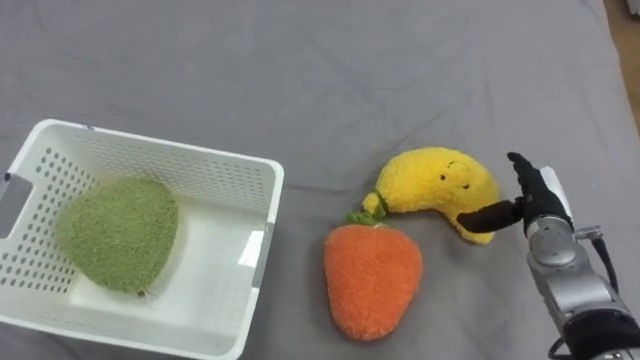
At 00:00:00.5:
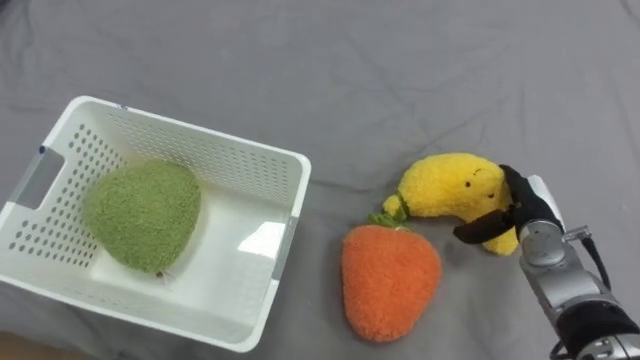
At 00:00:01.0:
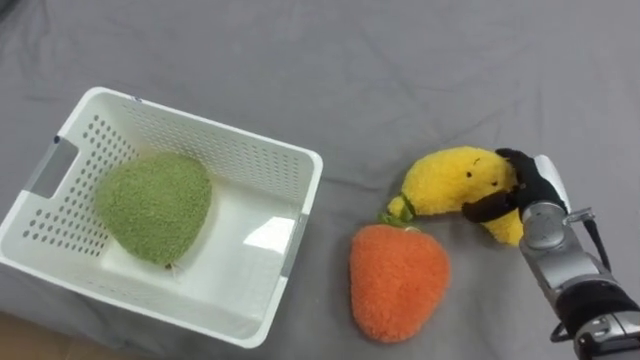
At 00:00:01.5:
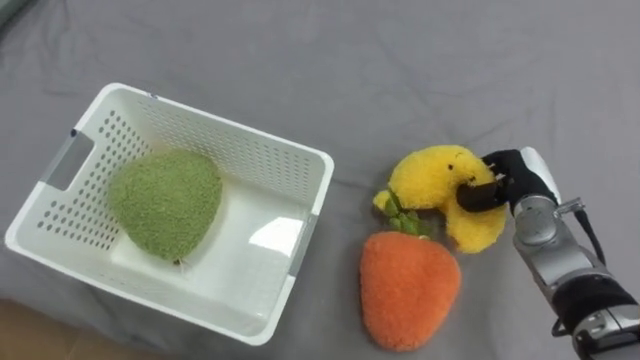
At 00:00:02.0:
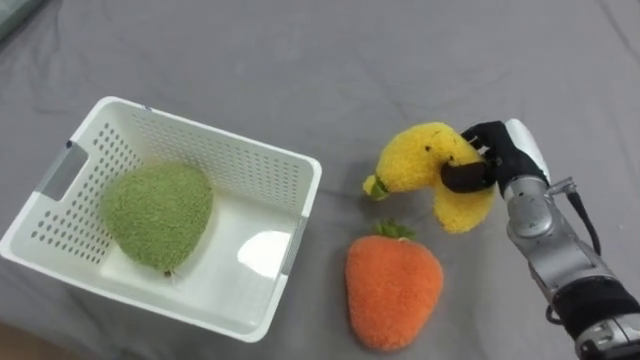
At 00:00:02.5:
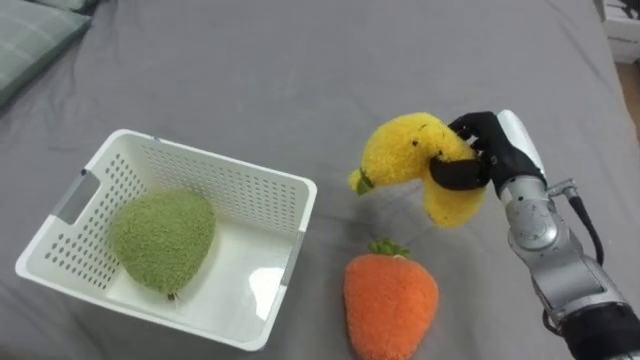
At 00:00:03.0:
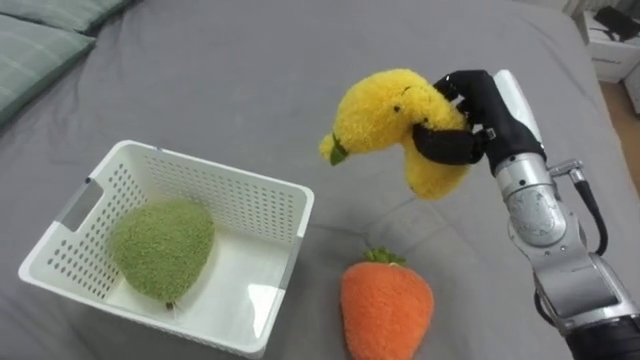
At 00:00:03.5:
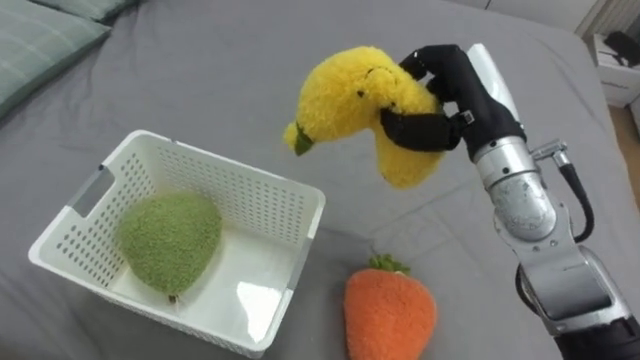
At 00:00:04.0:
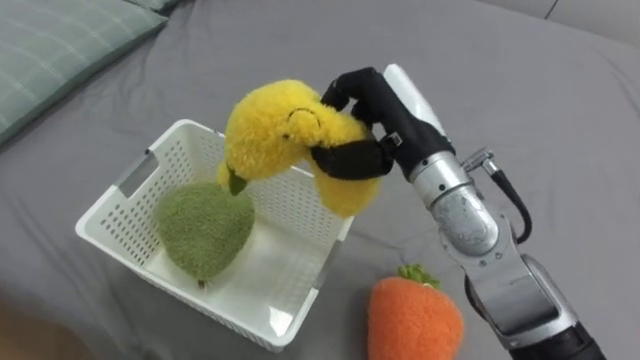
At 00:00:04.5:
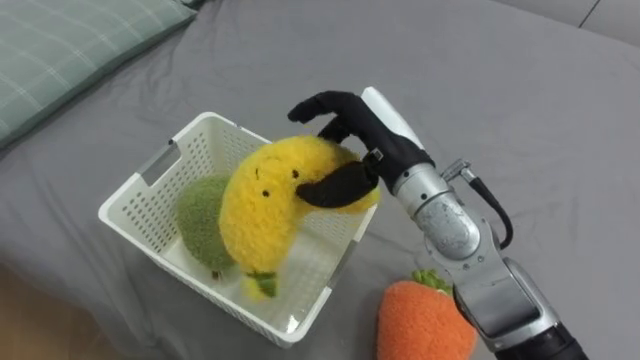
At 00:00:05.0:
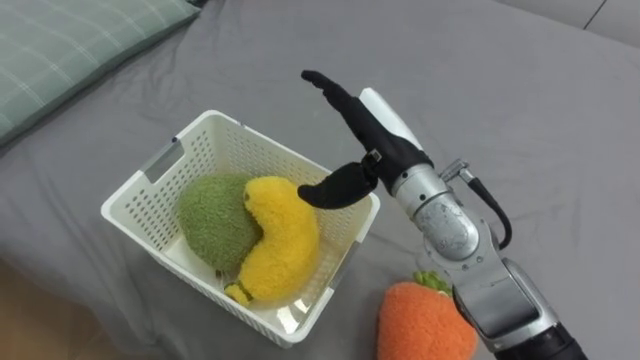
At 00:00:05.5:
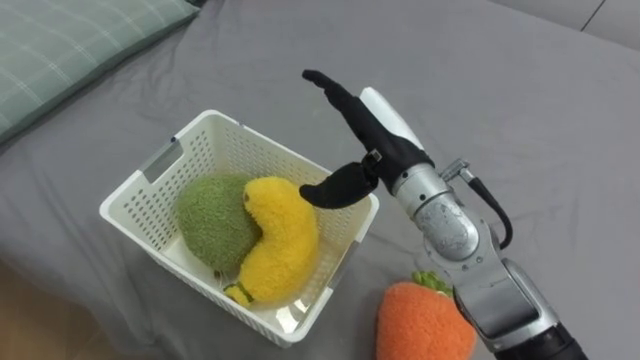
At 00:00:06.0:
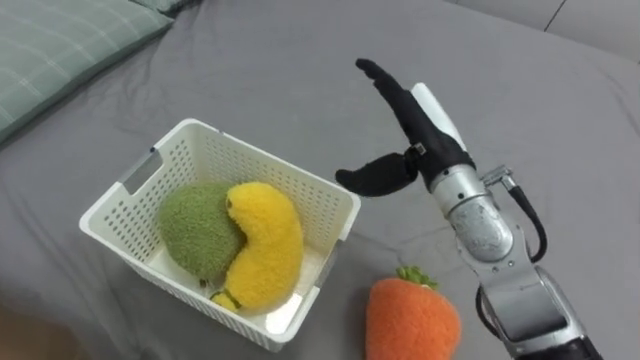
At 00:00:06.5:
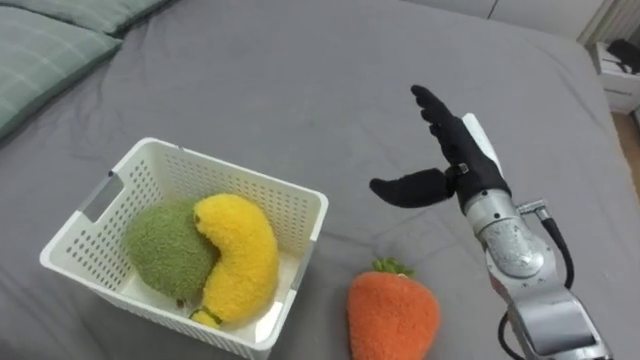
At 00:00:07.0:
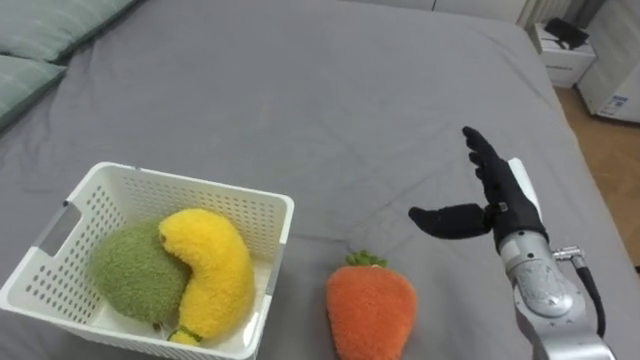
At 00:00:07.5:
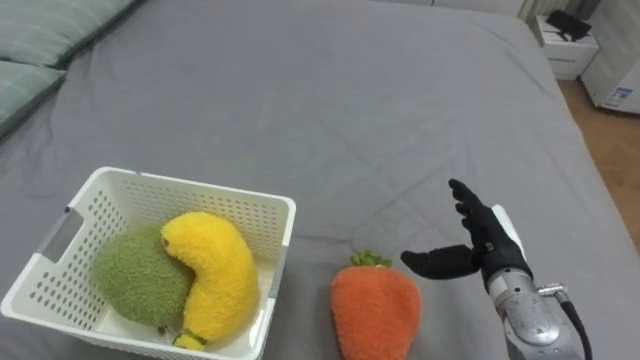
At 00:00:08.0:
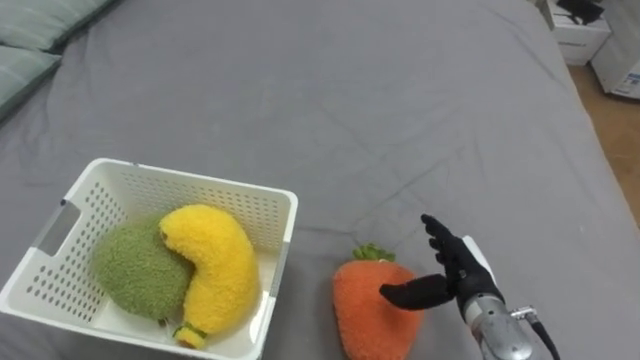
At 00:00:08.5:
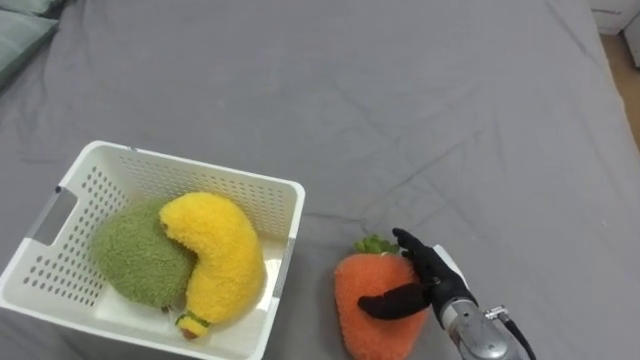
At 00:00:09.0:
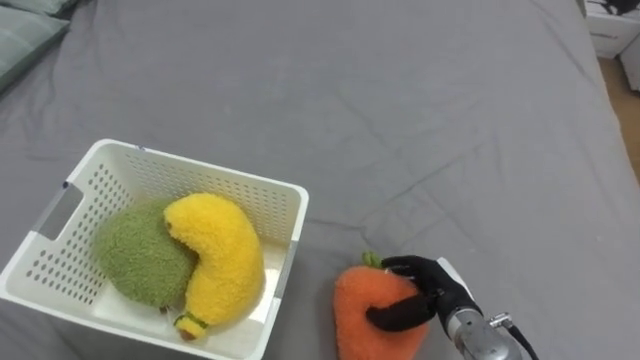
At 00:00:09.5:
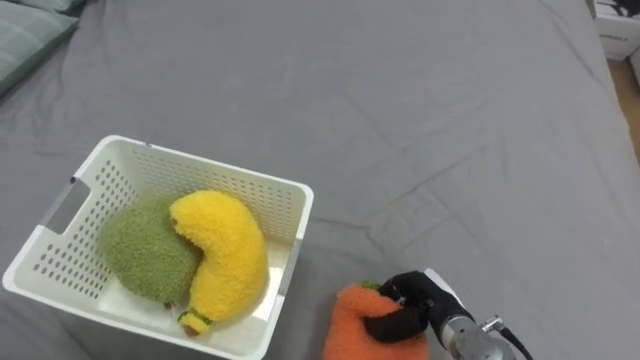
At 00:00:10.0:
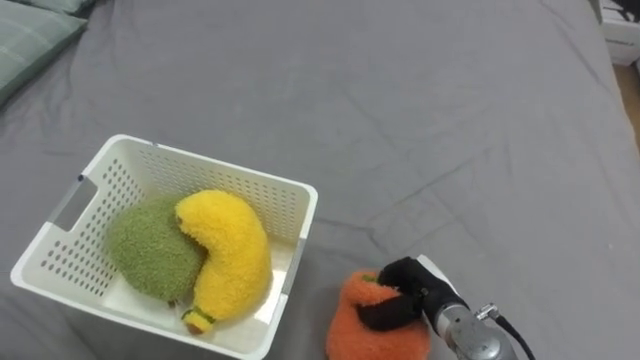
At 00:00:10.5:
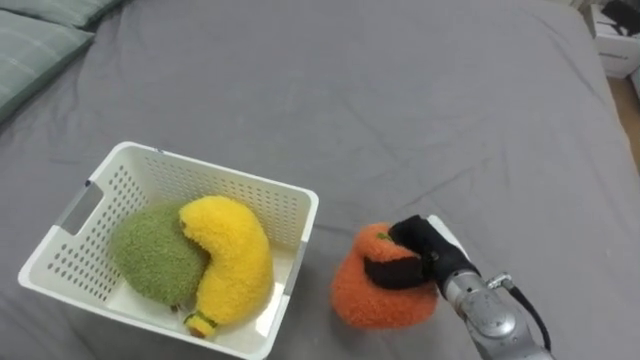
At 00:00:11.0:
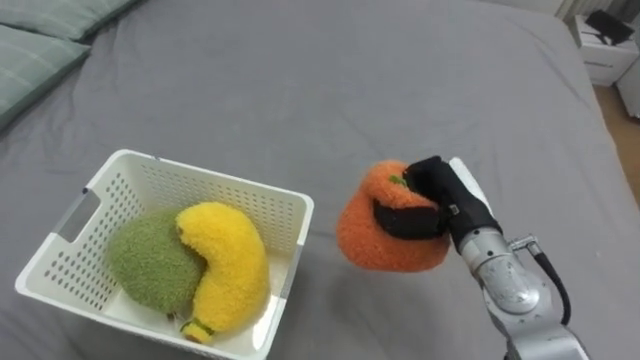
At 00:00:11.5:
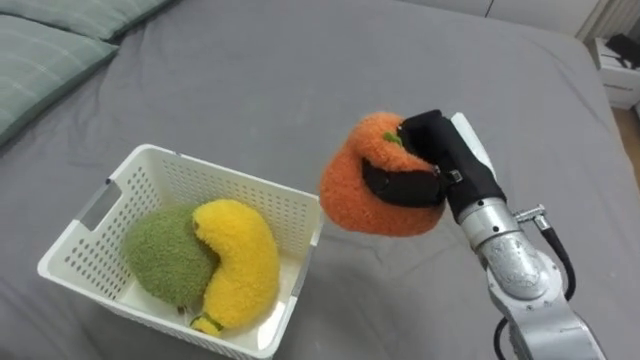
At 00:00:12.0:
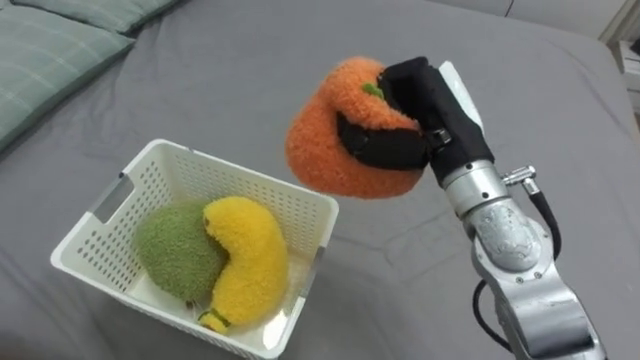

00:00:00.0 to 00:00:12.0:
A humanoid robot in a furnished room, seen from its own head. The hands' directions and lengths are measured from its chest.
Task of the whole recording: Put the toys on the bed into the basket on the left.
00:00:00.0 to 00:00:02.0: The right hand moves roughly 5 cm, and closes up.
00:00:02.0 to 00:00:04.0: The right hand shifts some 20 cm to the left and upward.
00:00:04.0 to 00:00:06.0: The right hand opens.
00:00:06.0 to 00:00:08.0: The right hand goes about 20 cm downward, to the right and backward.
00:00:08.0 to 00:00:10.0: The right hand ends up approximately 5 cm from where it was, and closes its fingers.
00:00:10.0 to 00:00:12.0: The right hand shifts about 25 cm upward.

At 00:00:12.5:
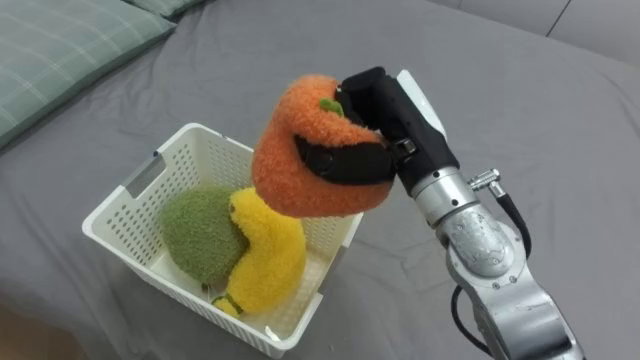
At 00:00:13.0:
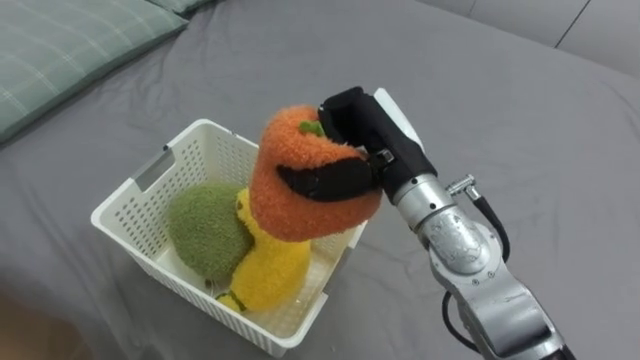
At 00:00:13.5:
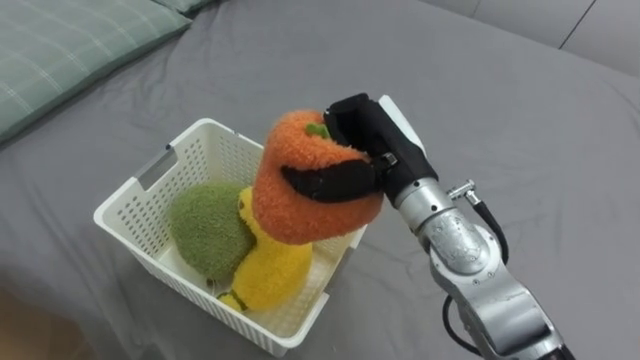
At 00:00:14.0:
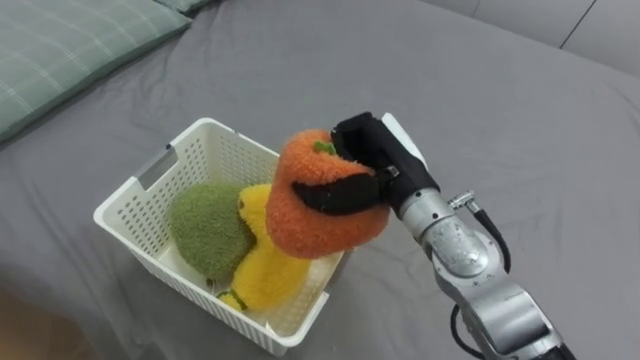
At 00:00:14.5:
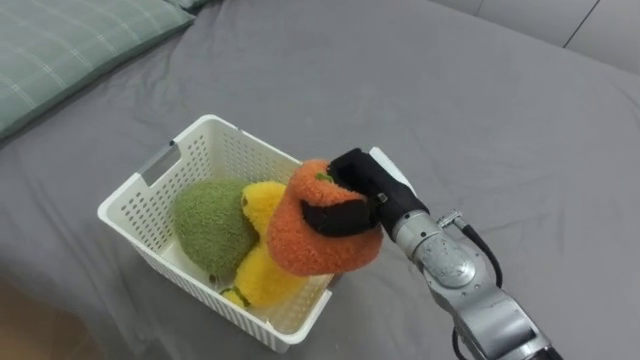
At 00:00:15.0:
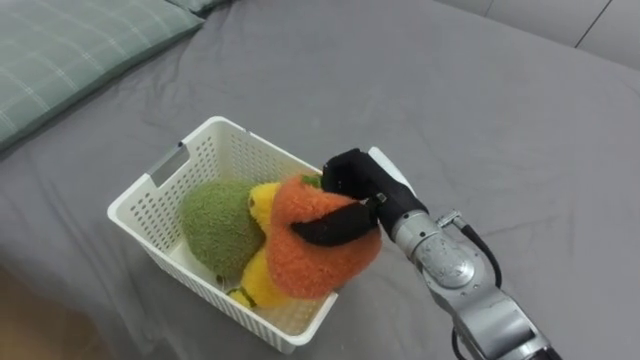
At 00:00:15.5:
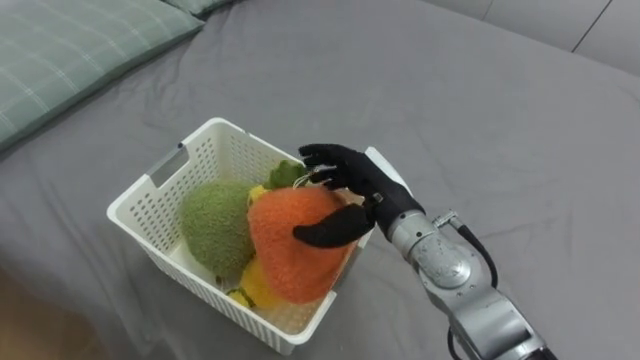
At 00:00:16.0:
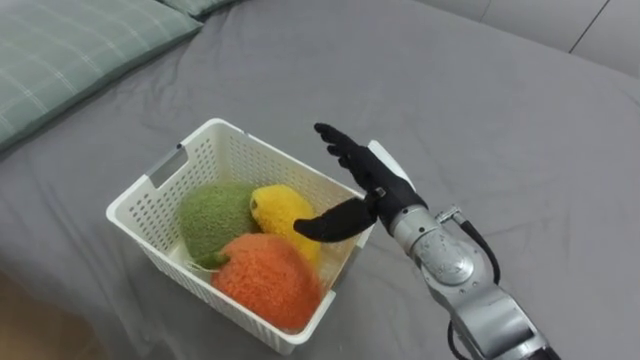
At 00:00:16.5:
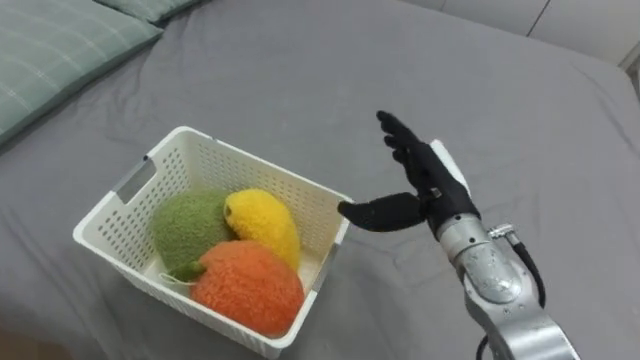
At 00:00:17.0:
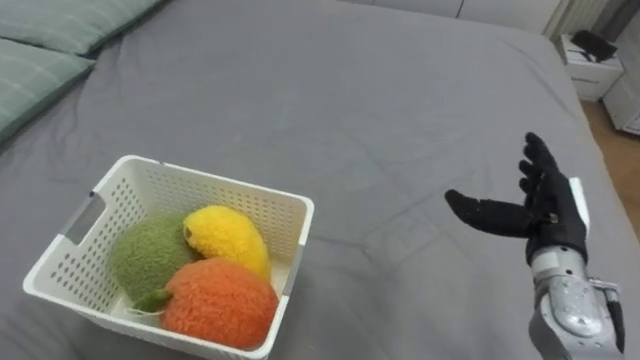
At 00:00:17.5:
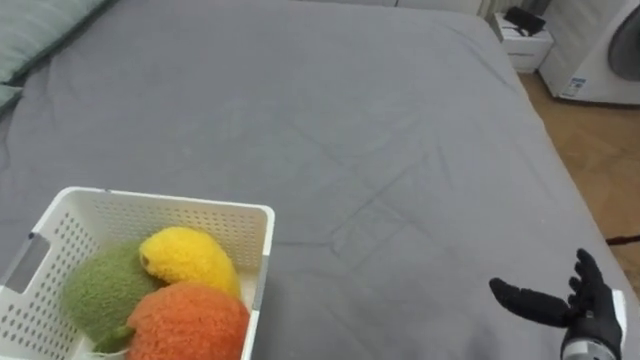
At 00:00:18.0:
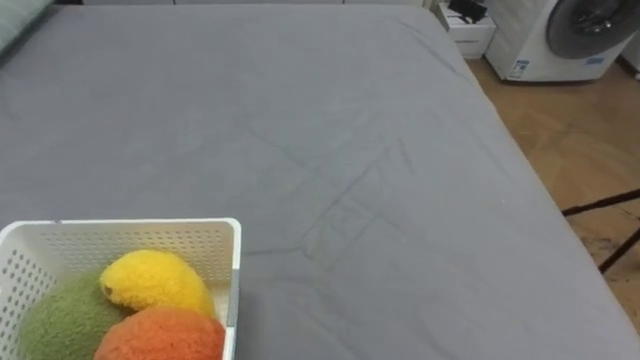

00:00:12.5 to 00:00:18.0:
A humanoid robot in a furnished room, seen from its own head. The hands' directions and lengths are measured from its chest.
Task of the whole recording: Put the toys on the bed into the basket on the left.
00:00:12.5 to 00:00:14.5: The right hand goes roughly 10 cm downward.
00:00:14.5 to 00:00:16.0: The right hand opens its fingers.

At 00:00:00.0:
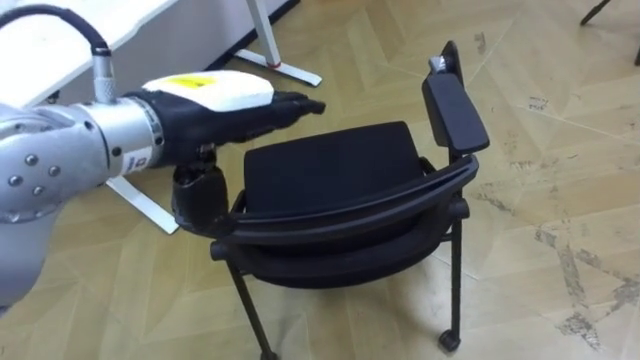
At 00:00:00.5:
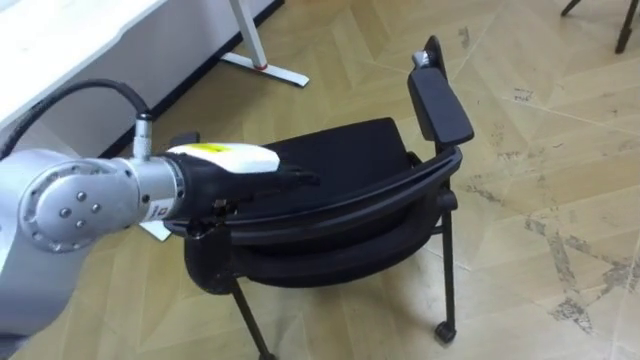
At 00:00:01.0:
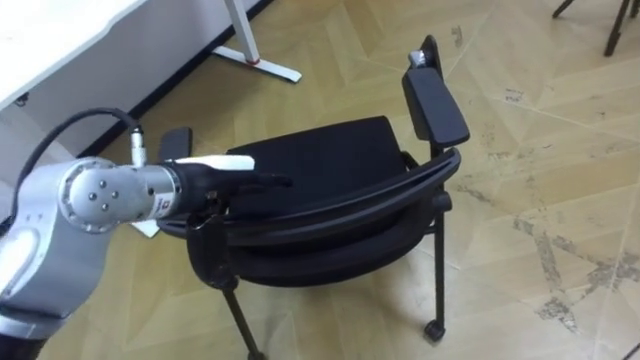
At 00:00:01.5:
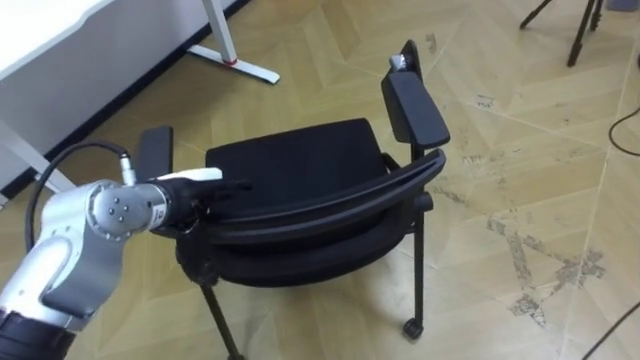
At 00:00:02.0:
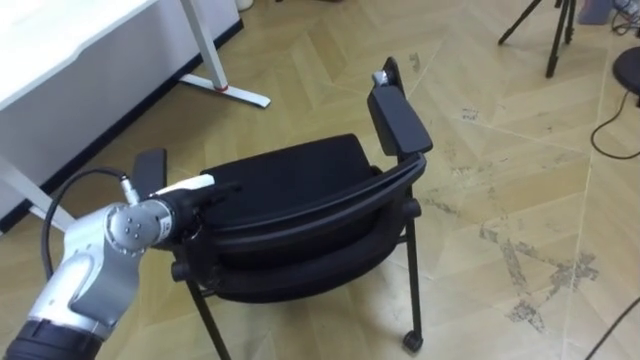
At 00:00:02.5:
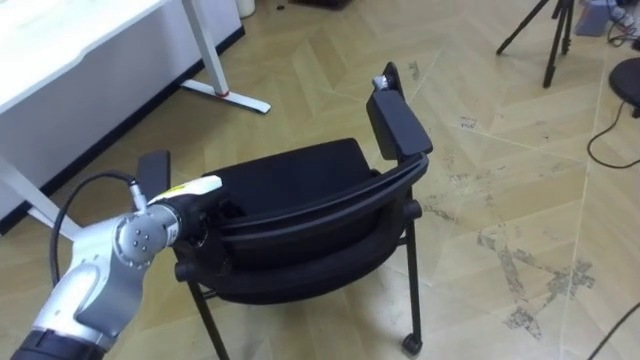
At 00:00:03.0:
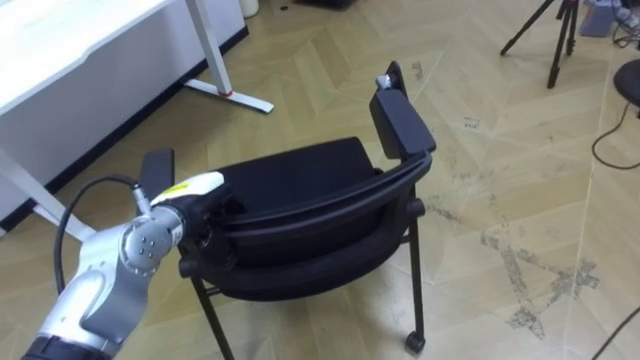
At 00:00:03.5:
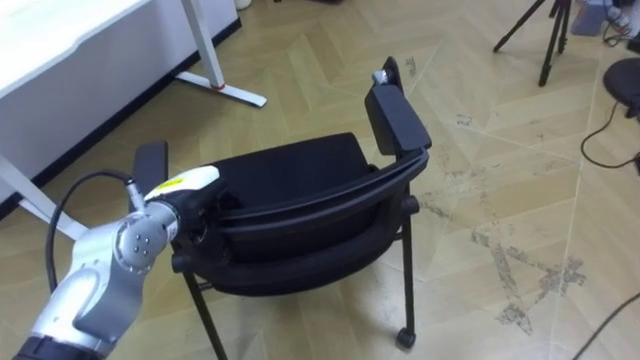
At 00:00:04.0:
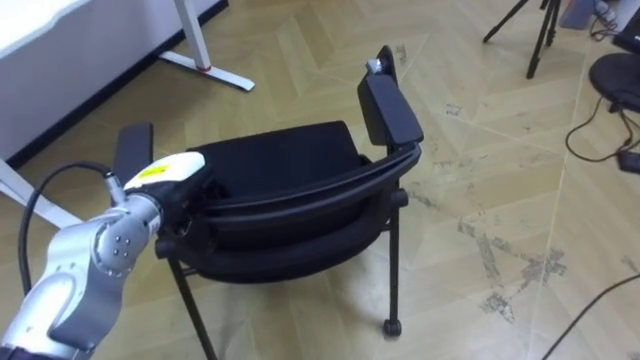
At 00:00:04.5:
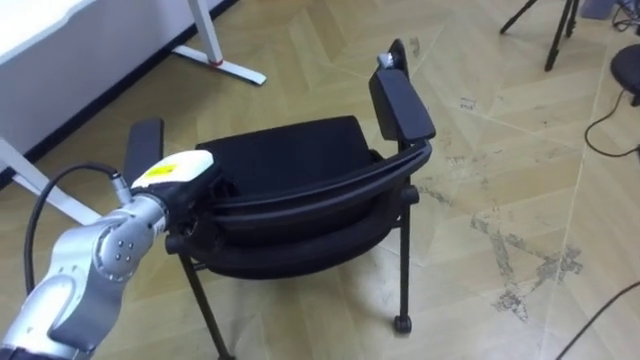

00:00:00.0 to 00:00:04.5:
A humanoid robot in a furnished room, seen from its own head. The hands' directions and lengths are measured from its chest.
Task of the whole recording: Push the chair under the table.
00:00:00.0 to 00:00:02.0: The left hand shifts about 20 cm downward.
00:00:02.0 to 00:00:04.5: The left hand closes up.
